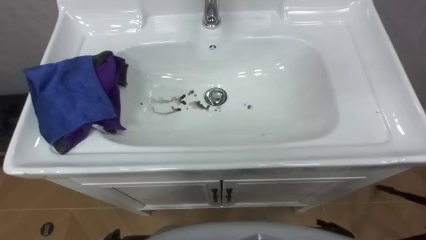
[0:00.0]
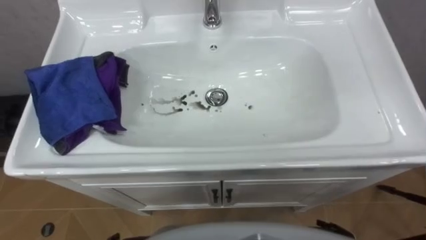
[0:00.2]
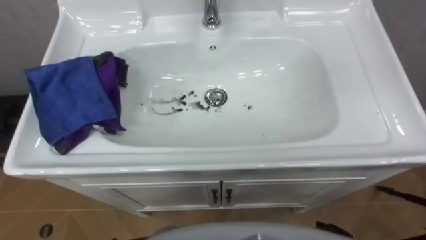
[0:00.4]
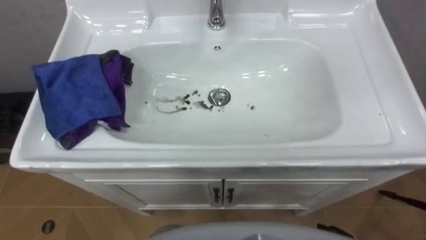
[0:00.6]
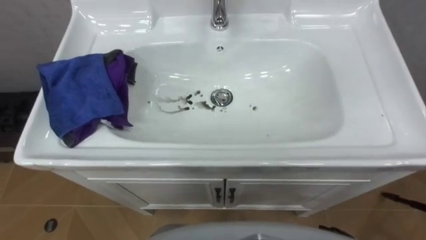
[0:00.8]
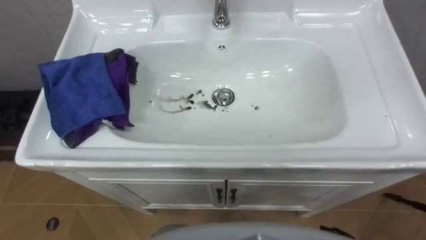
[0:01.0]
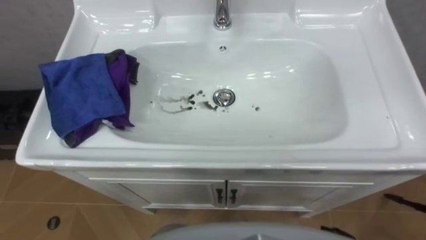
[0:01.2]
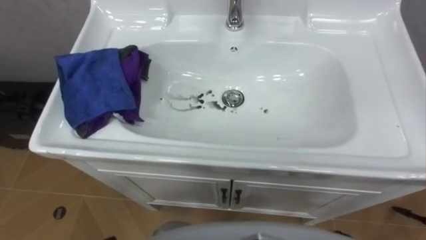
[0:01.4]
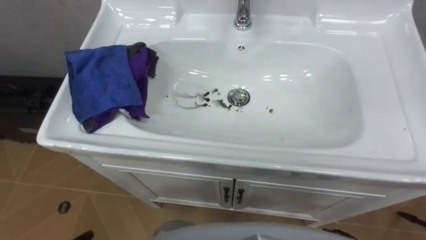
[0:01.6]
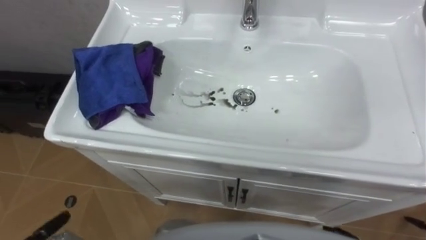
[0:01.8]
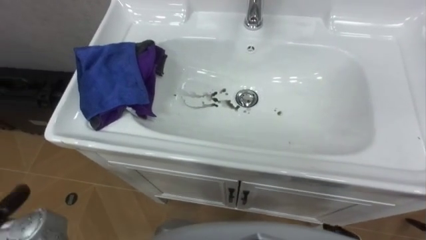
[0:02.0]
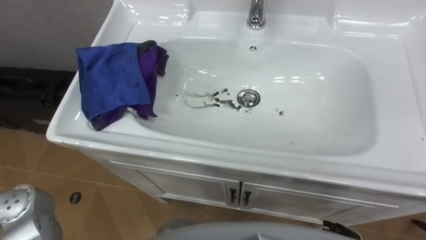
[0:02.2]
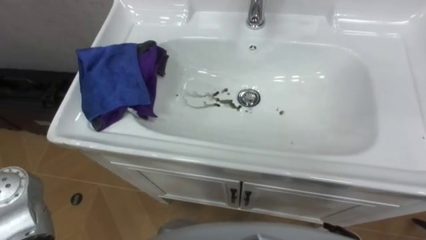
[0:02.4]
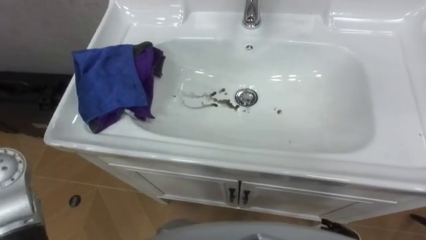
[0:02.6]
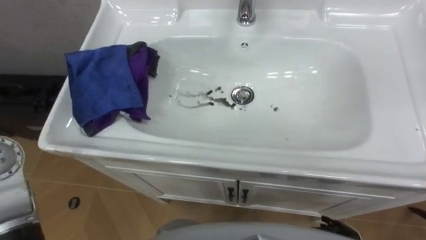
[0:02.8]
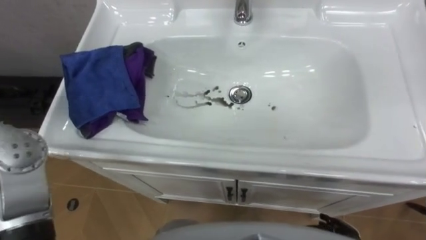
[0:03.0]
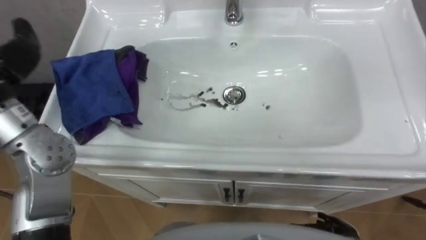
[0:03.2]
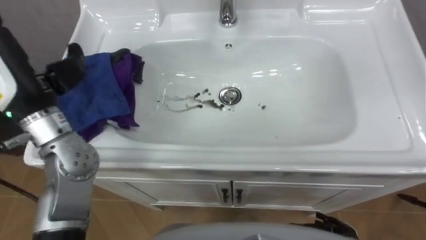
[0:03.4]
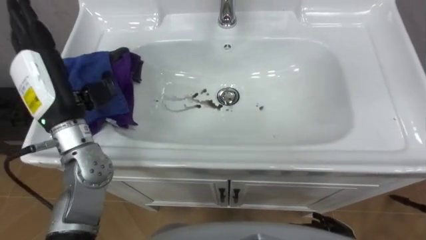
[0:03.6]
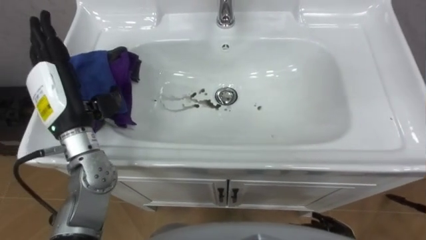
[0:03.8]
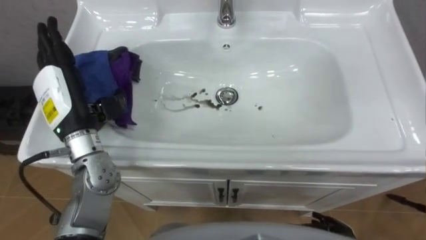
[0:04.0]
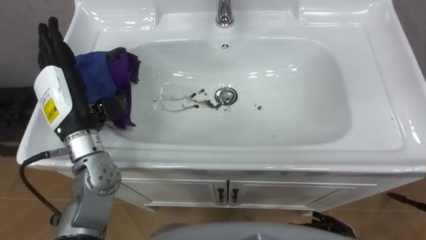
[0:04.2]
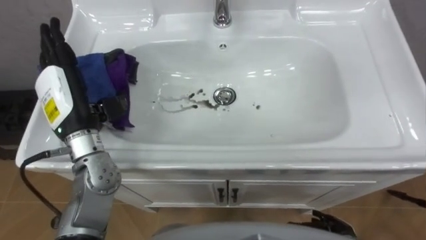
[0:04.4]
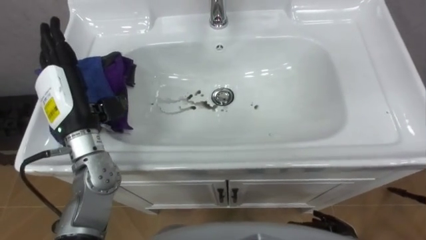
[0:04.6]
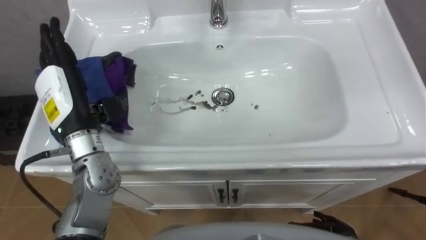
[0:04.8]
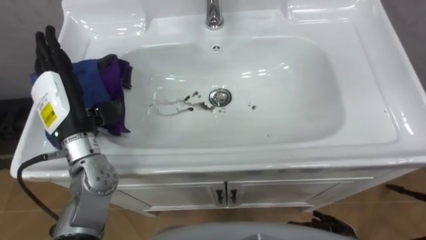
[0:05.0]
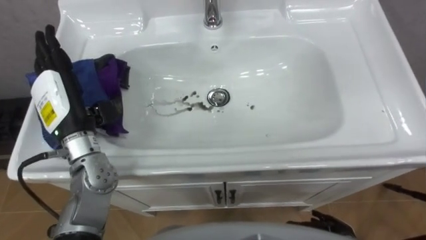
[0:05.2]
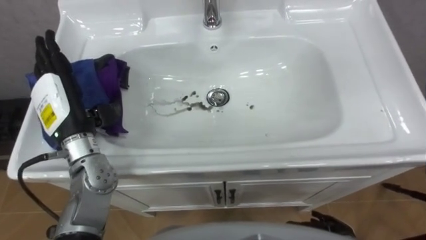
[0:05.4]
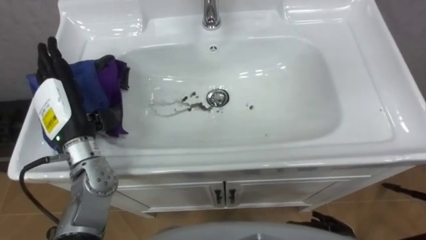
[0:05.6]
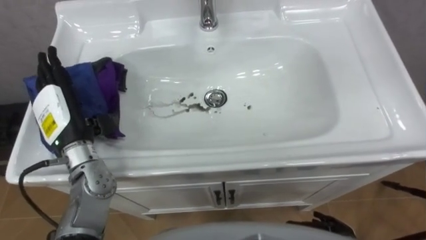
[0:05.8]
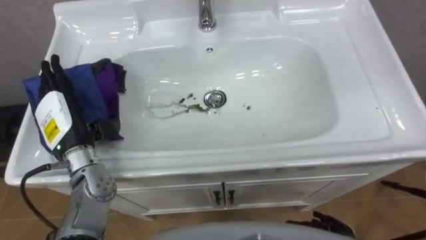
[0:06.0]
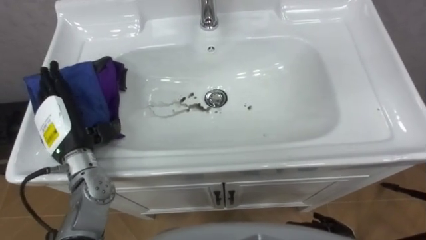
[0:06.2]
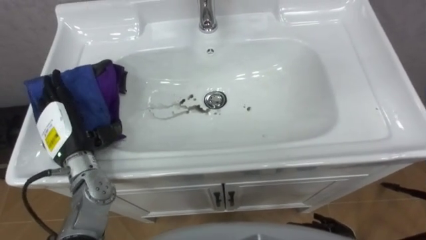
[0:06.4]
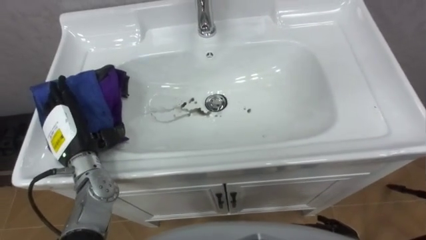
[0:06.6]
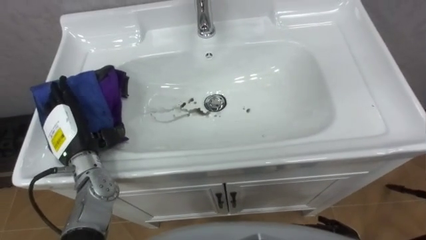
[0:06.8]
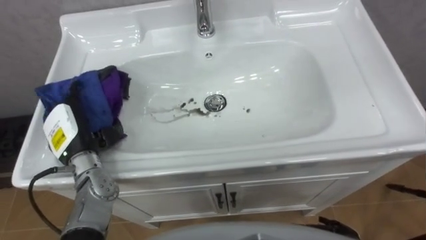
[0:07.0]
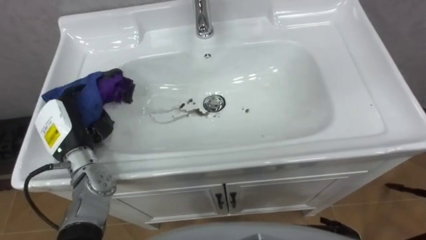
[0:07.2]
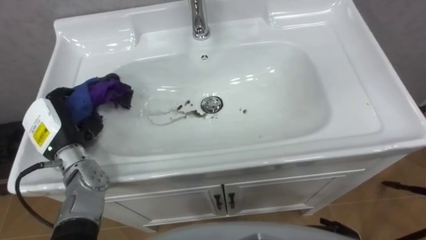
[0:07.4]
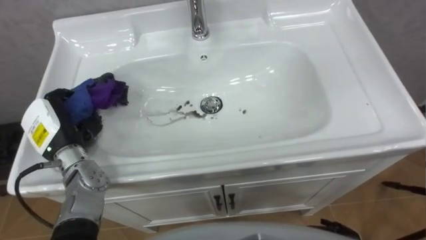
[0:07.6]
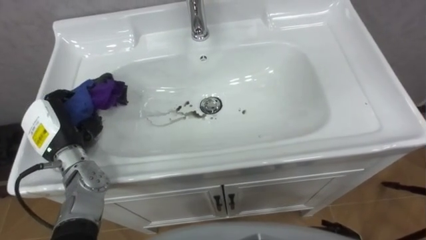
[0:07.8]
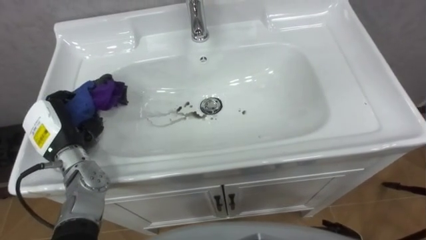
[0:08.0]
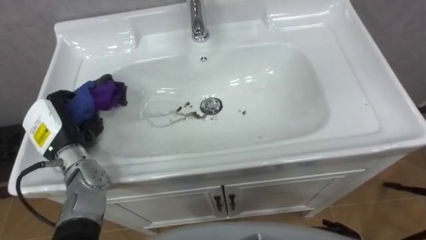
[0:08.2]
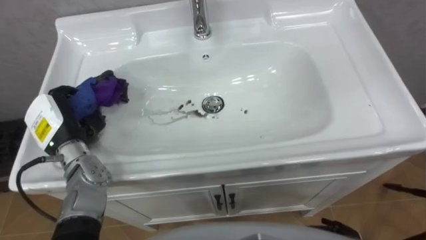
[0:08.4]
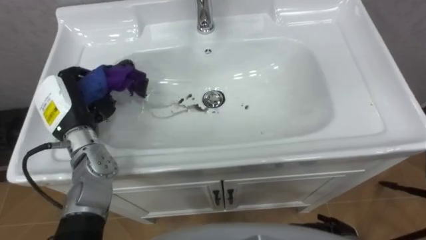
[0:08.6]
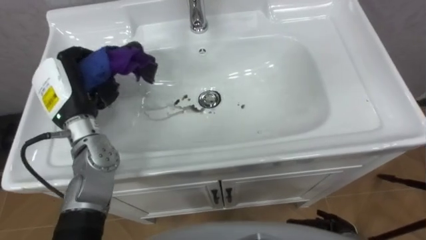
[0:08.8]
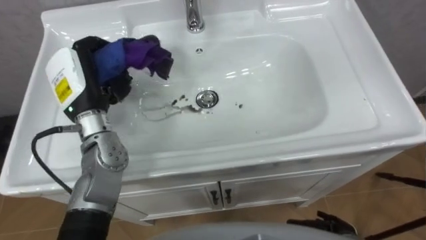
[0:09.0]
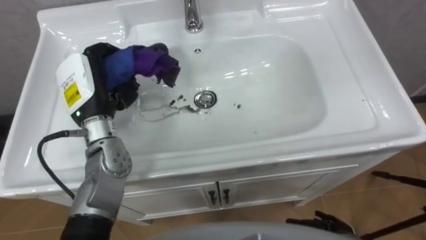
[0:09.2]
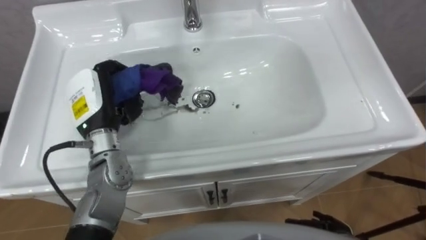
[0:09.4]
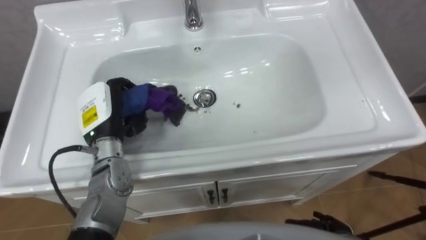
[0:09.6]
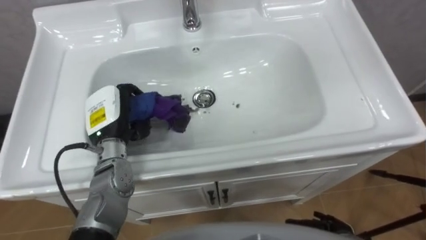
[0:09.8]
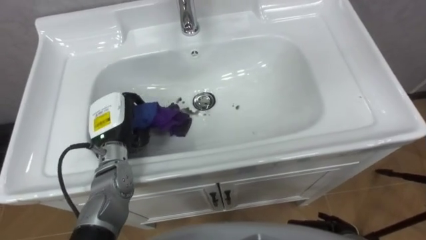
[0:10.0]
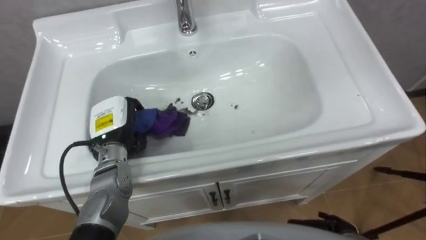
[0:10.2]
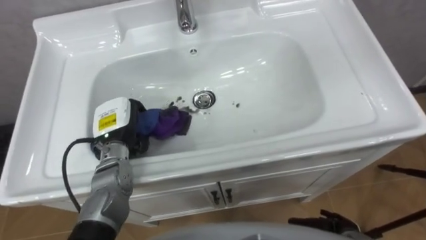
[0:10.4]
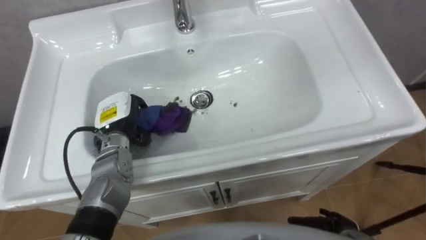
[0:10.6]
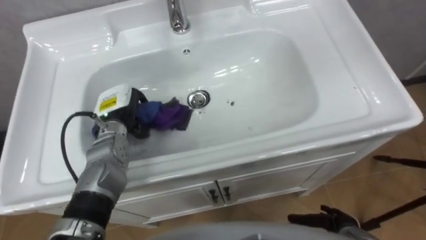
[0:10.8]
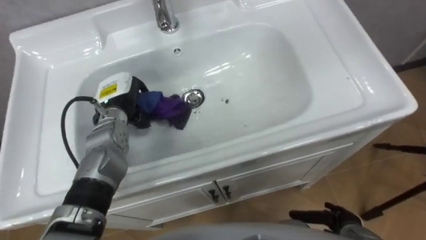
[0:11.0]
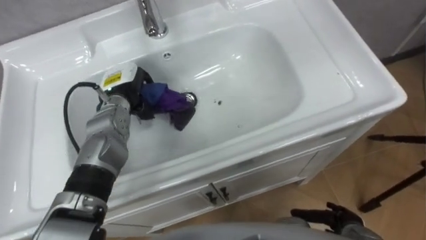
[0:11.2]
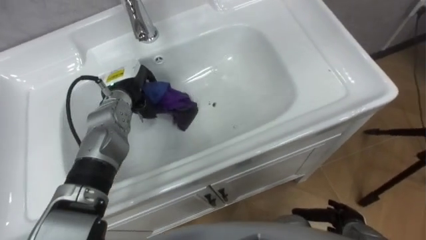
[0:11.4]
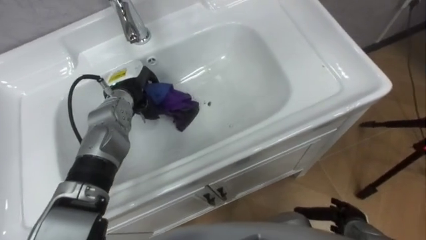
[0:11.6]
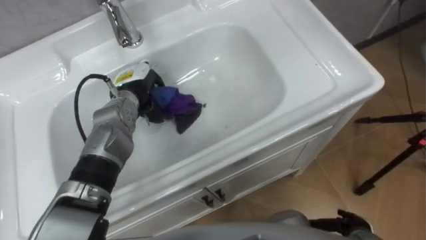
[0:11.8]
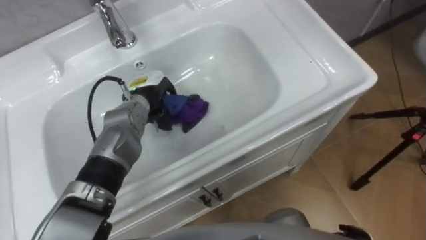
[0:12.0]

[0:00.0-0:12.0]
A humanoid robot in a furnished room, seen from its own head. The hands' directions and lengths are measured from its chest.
Task of the whole recording: Use the cloth on the right to wipe away the black stain in the sink.
4.4 to 6.0 s: The left hand goes approximately 5 cm downward.
6.0 to 7.6 s: The left hand closes its fingers.
7.6 to 9.0 s: The left hand shifts roughly 10 cm upward, to the right and forward.
9.0 to 10.4 s: The left hand heads downward, covering about 10 cm.
10.4 to 12.0 s: The left hand heads forward and to the right, covering roughly 10 cm.

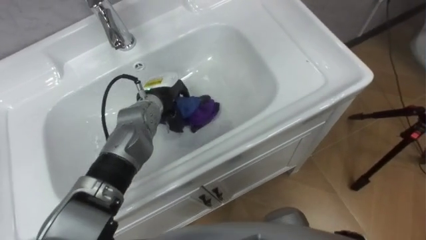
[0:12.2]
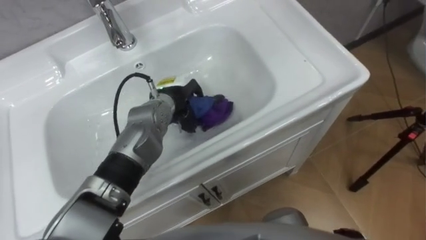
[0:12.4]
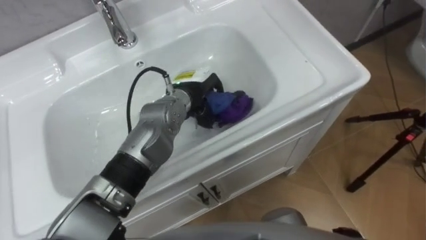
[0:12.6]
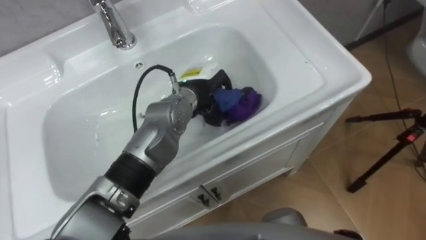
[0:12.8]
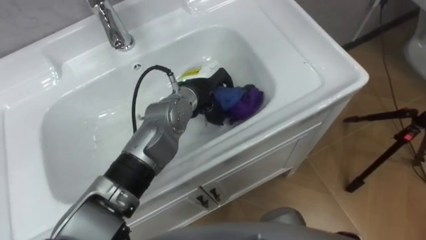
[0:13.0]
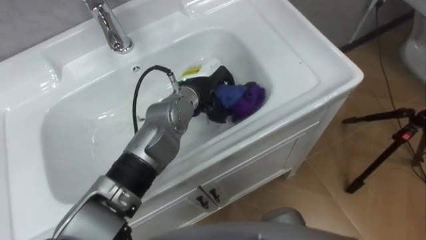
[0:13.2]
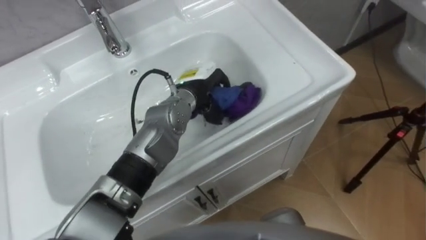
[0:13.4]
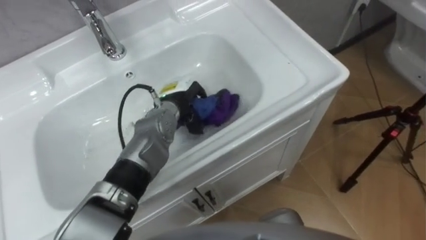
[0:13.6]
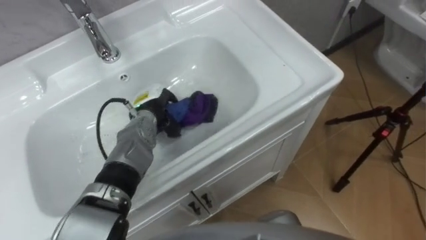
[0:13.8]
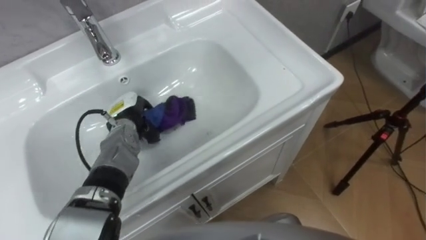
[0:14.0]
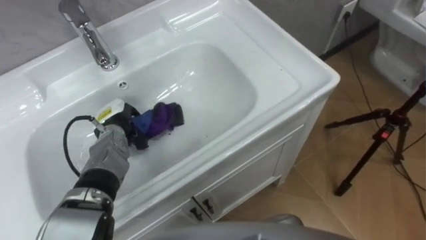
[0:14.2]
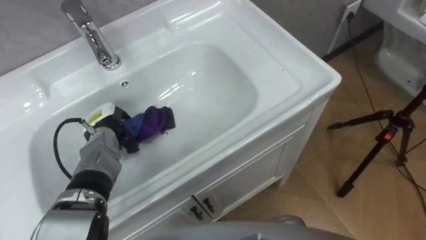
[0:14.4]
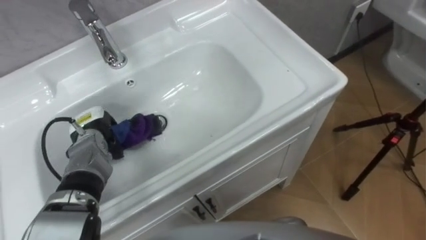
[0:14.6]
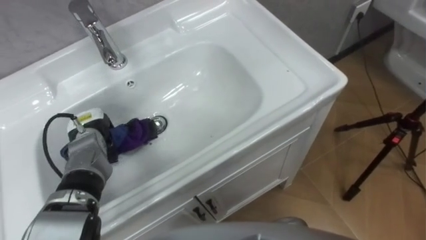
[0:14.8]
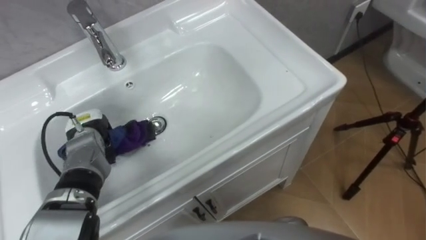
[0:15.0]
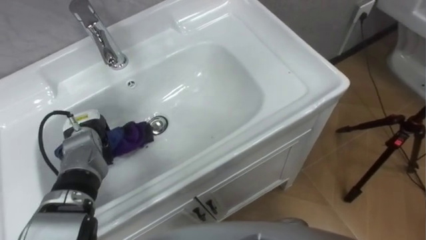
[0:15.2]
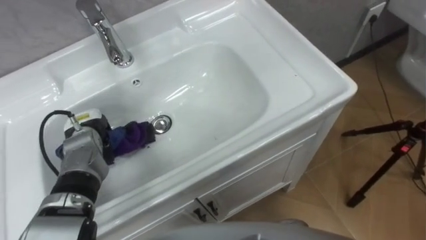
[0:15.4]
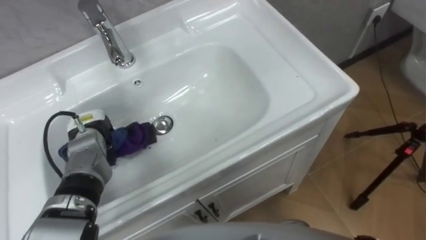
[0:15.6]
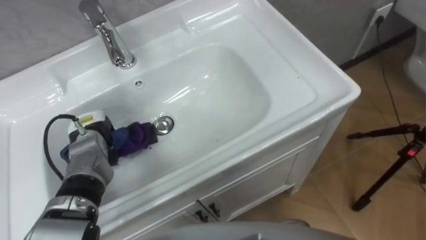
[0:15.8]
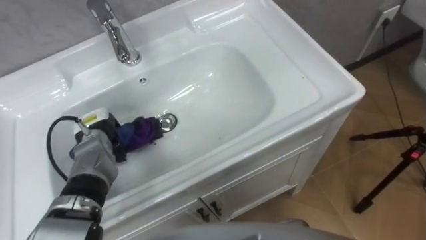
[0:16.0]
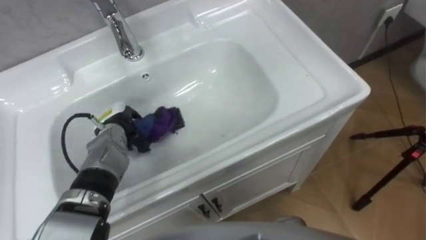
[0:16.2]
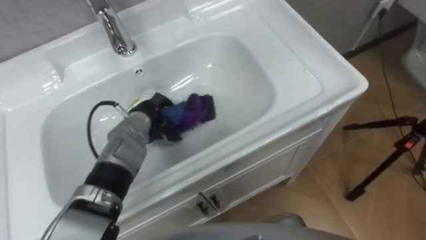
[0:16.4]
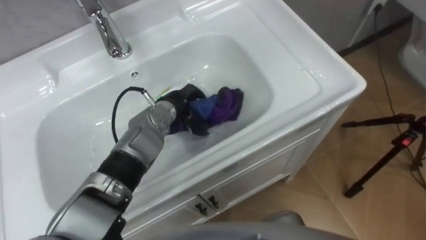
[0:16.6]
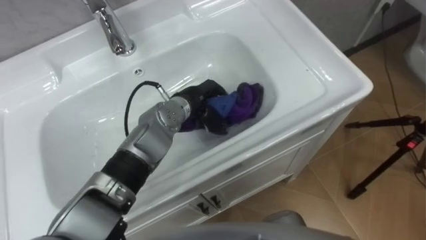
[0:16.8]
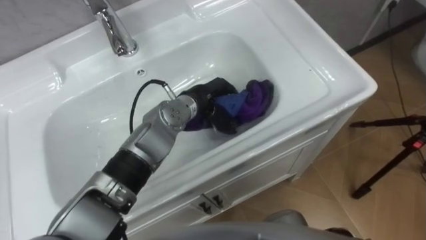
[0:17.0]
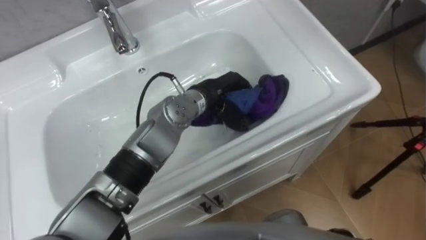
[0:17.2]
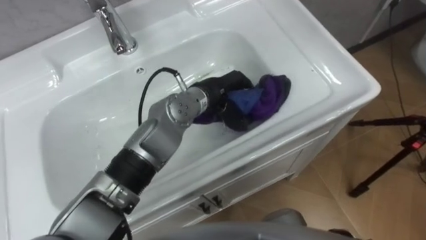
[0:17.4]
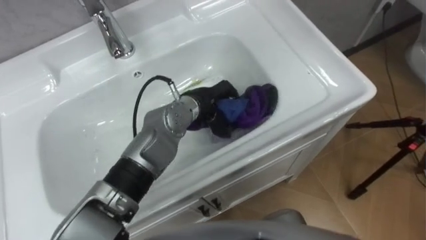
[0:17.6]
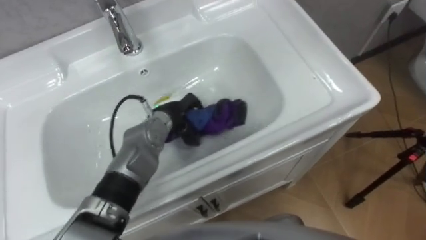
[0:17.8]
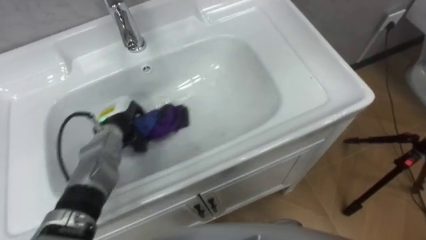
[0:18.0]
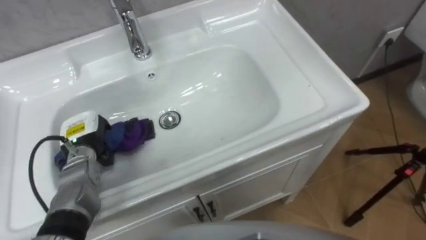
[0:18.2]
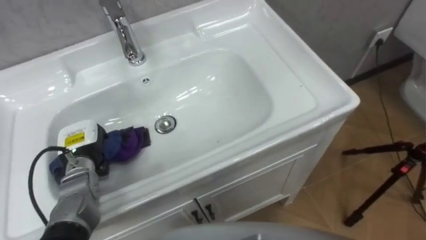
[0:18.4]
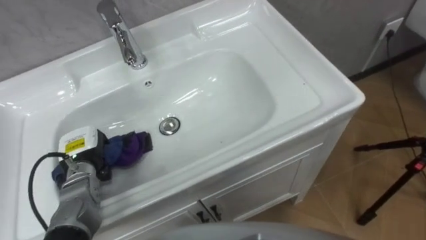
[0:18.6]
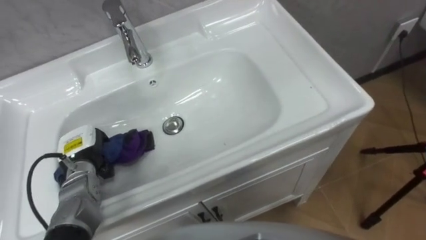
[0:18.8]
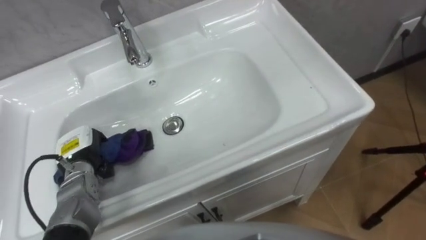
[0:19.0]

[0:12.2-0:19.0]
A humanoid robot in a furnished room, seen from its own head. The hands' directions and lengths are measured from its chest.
Task of the whole recording: Use the cloth on the right to wipe away the black stain in the sink.
13.6 to 15.0 s: The left hand is displaced to the left by about 20 cm.
15.0 to 16.2 s: The left hand is displaced to the right by about 5 cm.
16.2 to 17.6 s: The left hand heads to the right and upward, covering about 20 cm.
17.6 to 19.0 s: The left hand is displaced to the left by approximately 25 cm.
